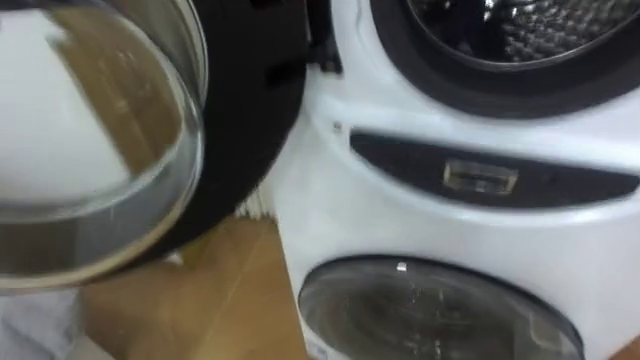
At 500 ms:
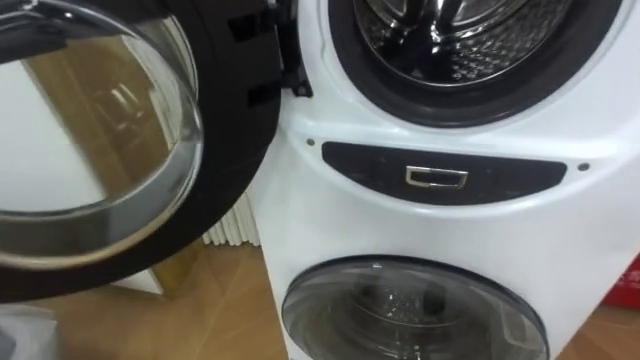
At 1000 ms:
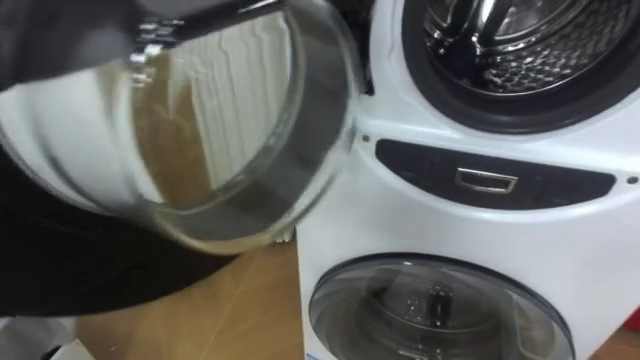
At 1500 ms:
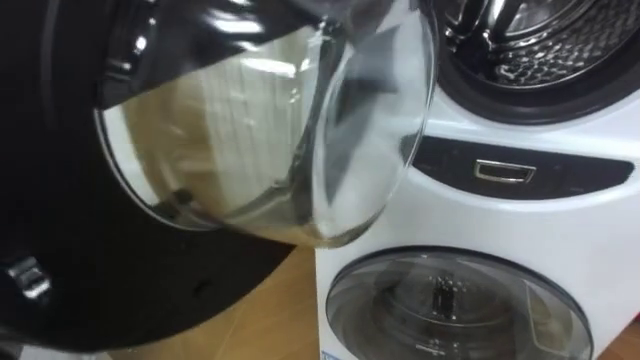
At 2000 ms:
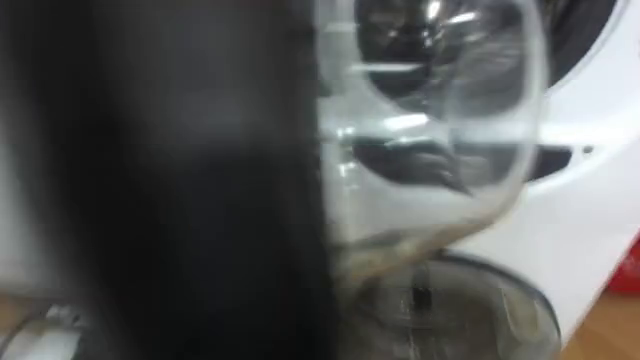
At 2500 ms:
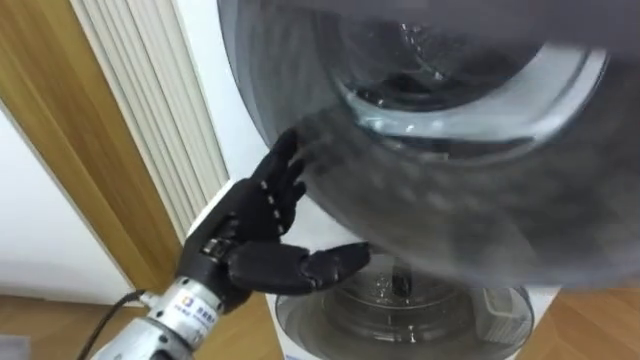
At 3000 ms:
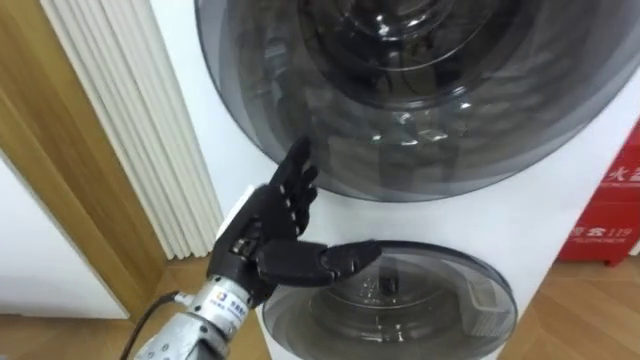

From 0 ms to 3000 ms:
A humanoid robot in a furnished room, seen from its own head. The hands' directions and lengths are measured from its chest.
Task of the whole recording: Open the washing machine door, take out the yellow clothes, place them in the box on the right, and close the washing machine door.
From 1500 ms to 3000 ms: The left hand moves to the right, roughly 20 cm.

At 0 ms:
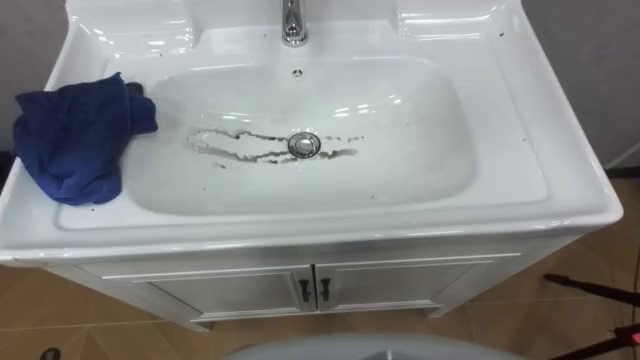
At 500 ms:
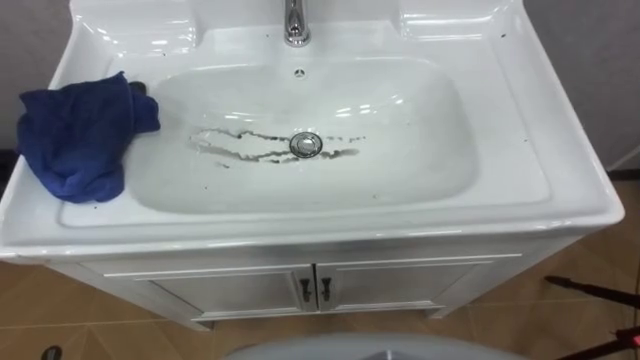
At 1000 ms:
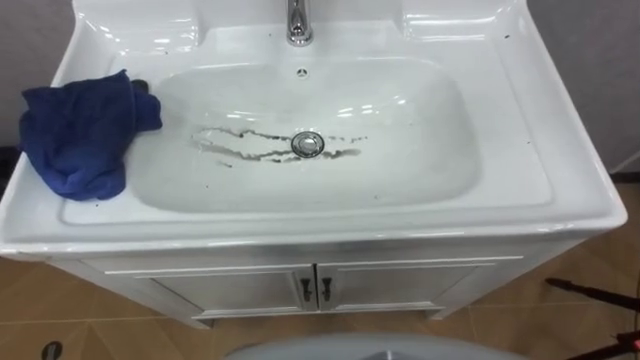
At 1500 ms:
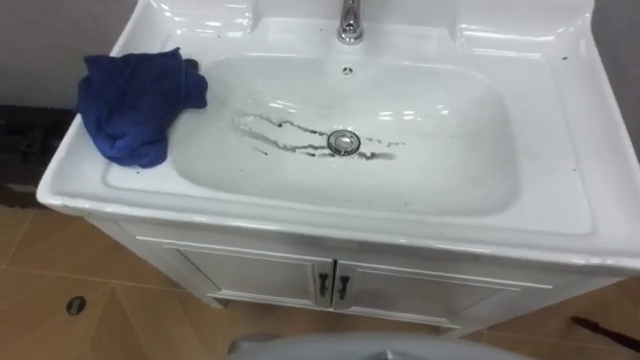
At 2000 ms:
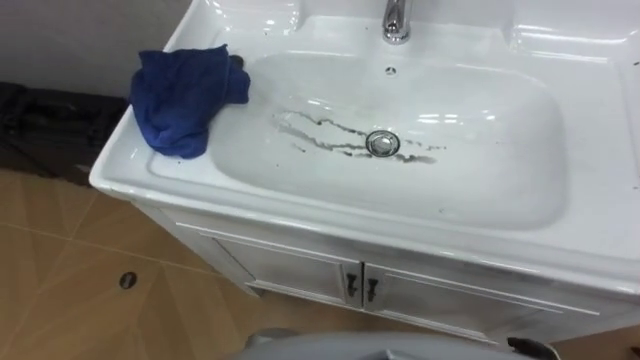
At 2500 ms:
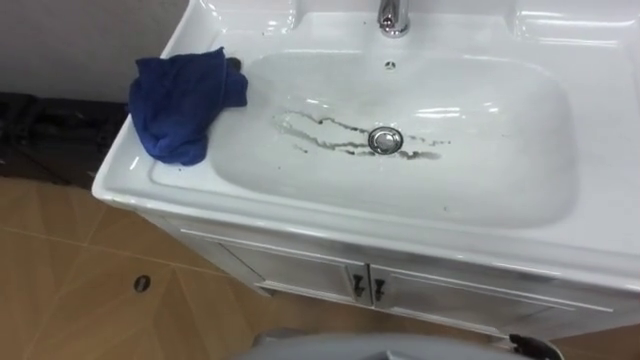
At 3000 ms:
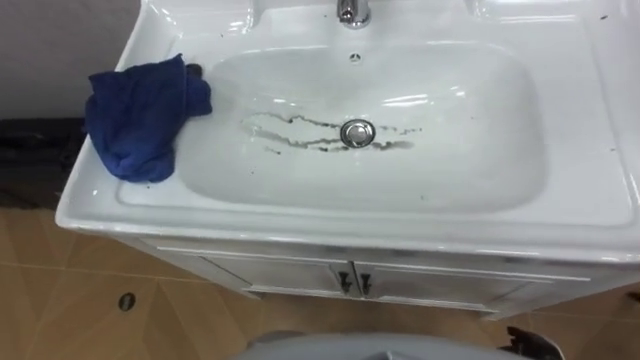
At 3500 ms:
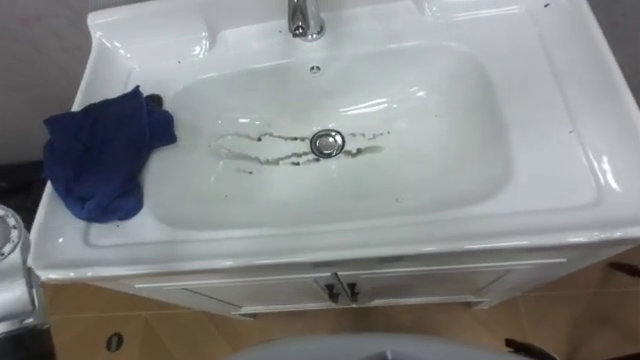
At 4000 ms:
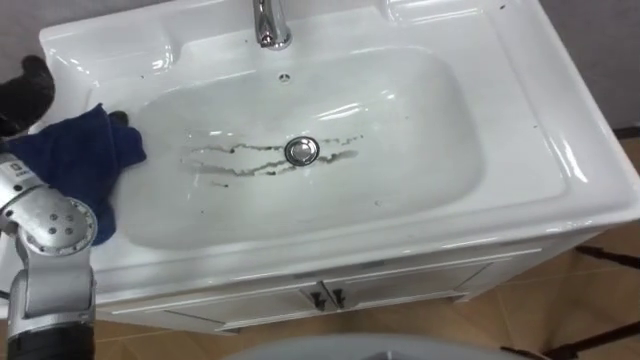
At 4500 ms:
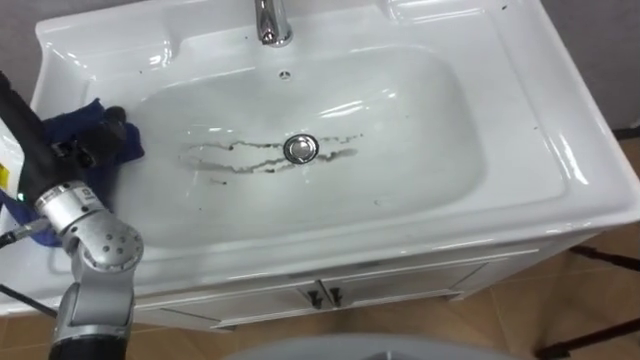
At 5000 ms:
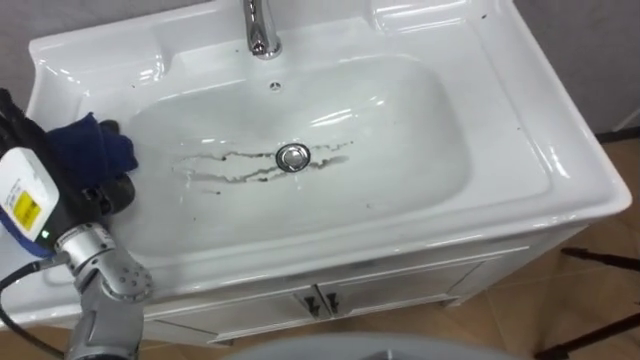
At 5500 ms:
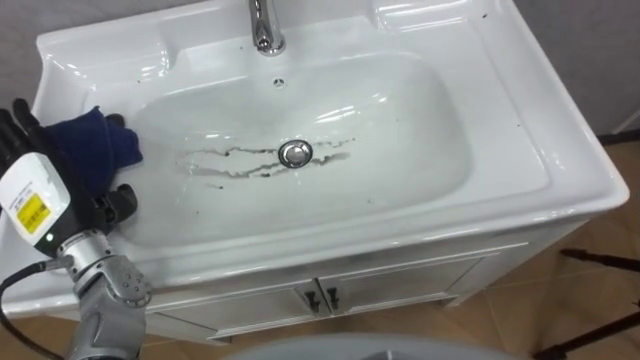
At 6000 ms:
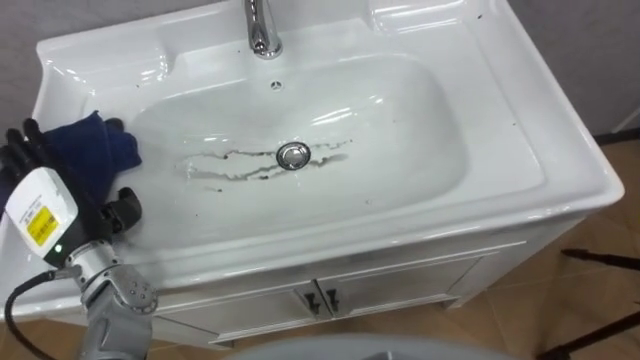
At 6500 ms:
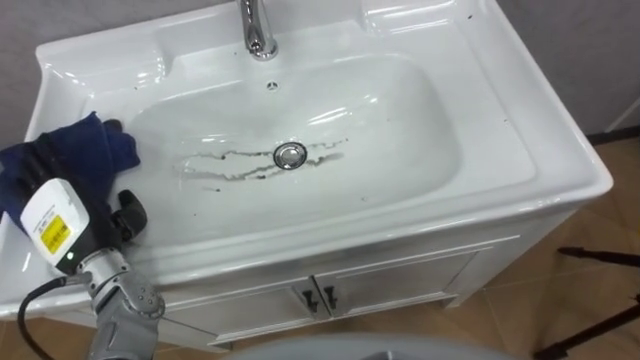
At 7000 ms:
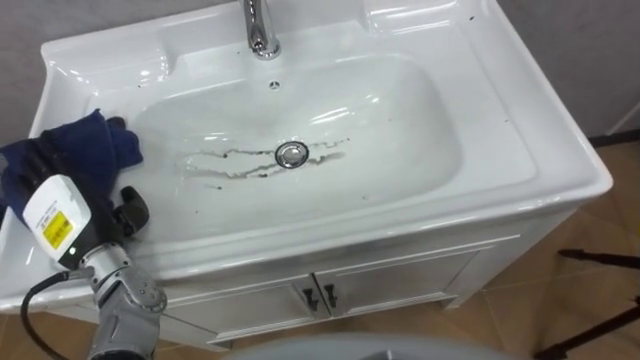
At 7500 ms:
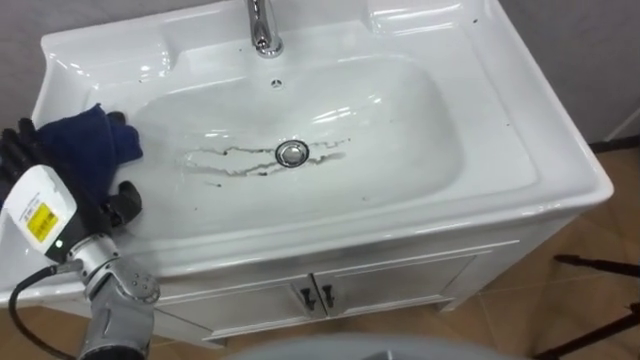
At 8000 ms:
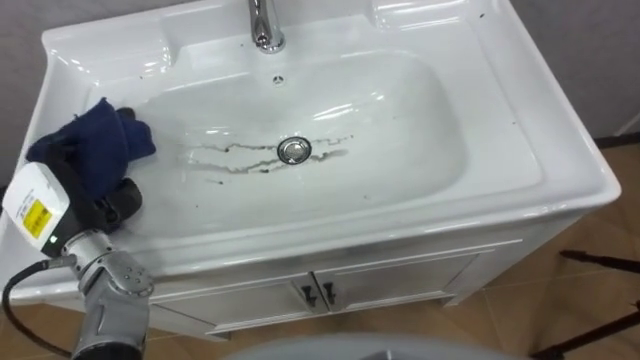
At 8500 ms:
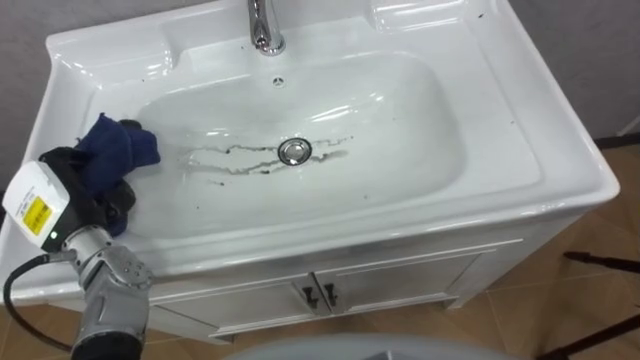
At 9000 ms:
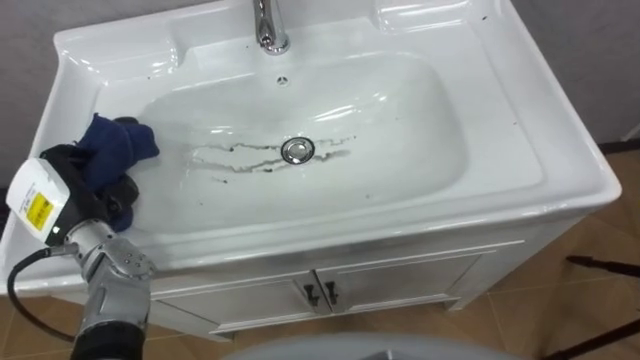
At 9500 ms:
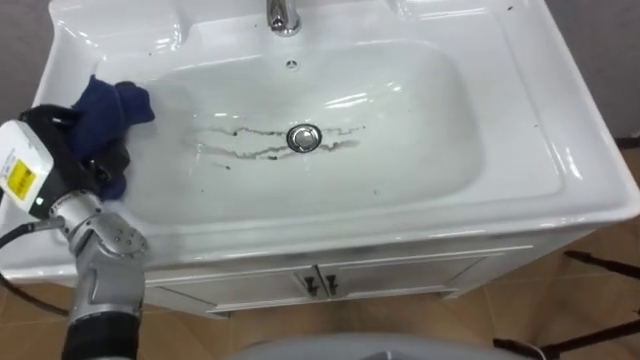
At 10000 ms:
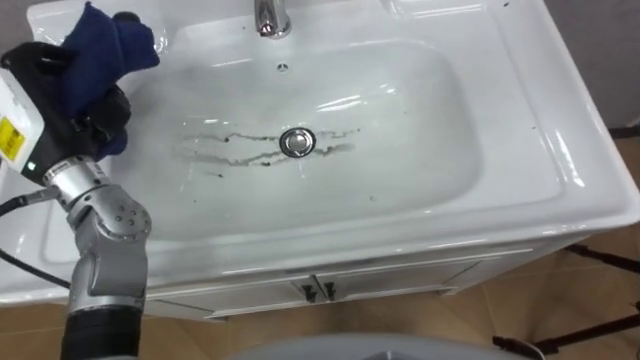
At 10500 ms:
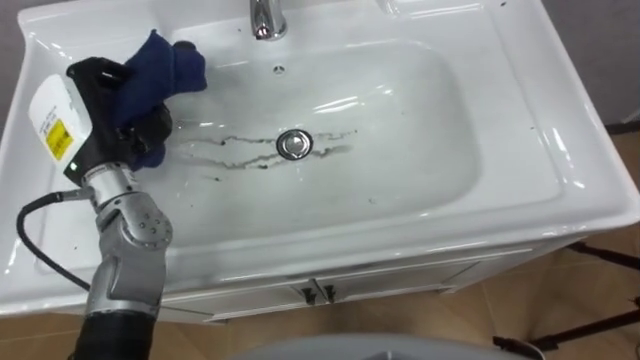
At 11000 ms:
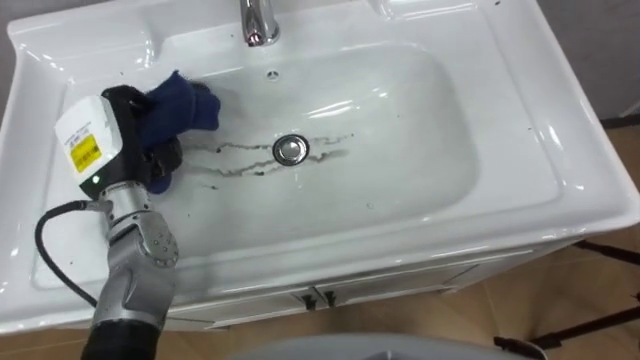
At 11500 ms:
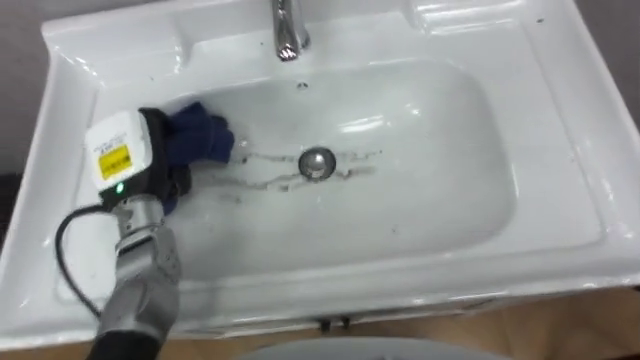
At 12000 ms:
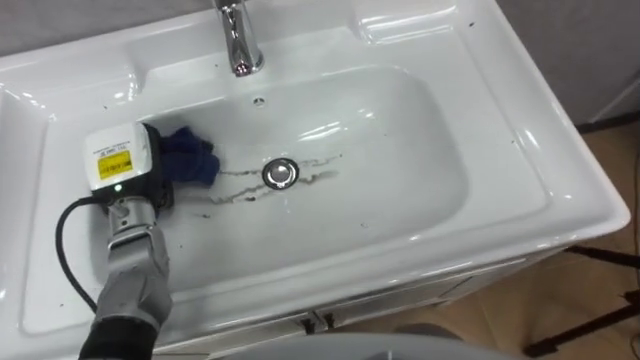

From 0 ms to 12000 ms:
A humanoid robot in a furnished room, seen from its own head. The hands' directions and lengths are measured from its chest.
Task of the whole recording: Use the cloth on the right to wipe away the black stain in the sink.
From 6000 ms to 8000 ms: The left hand closes its fingers.
From 8000 ms to 10000 ms: The left hand travels upward and forward by roughly 10 cm, and closes its fingers.
From 10000 ms to 12000 ms: The left hand goes roughly 10 cm downward.

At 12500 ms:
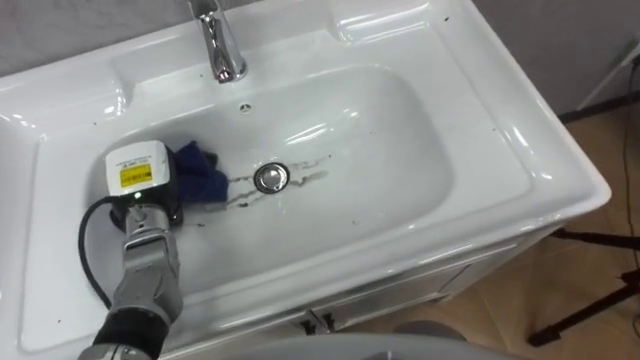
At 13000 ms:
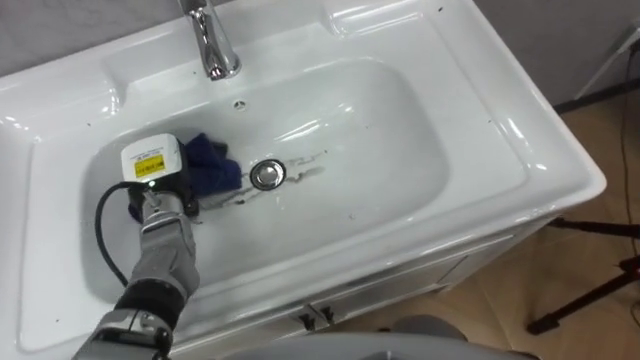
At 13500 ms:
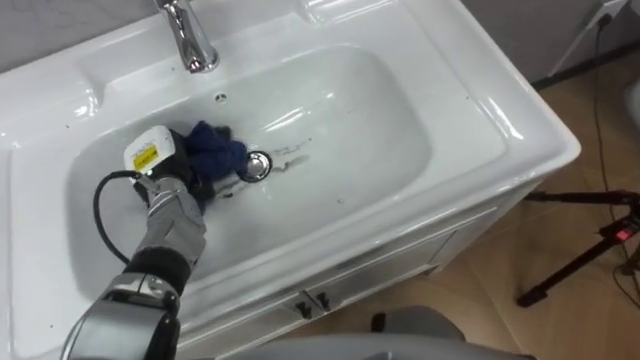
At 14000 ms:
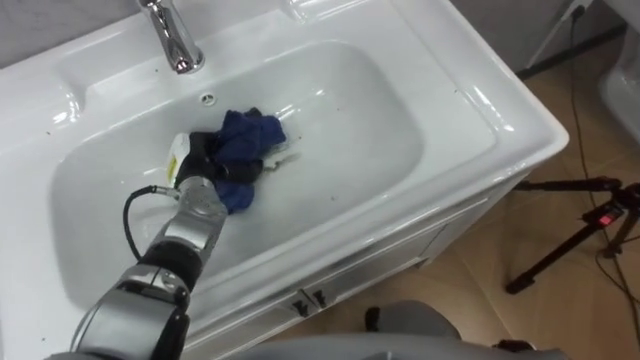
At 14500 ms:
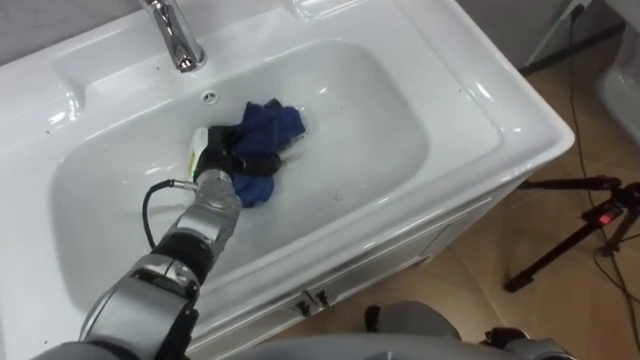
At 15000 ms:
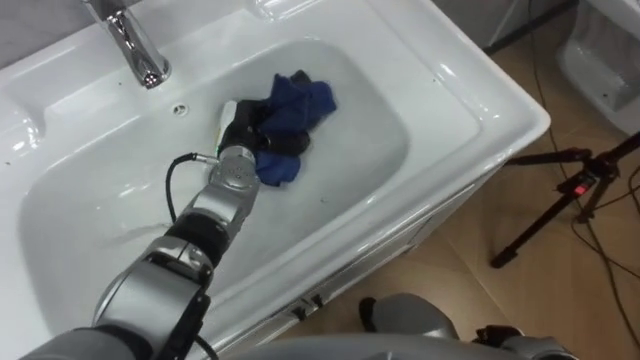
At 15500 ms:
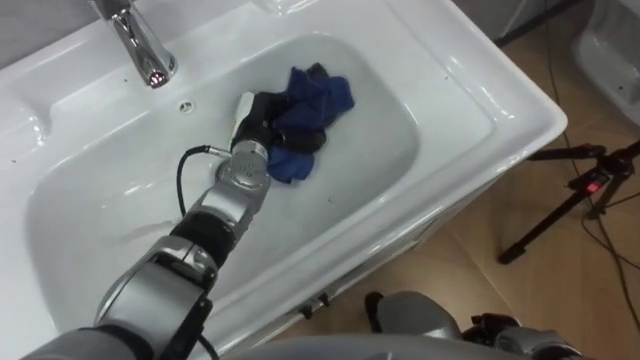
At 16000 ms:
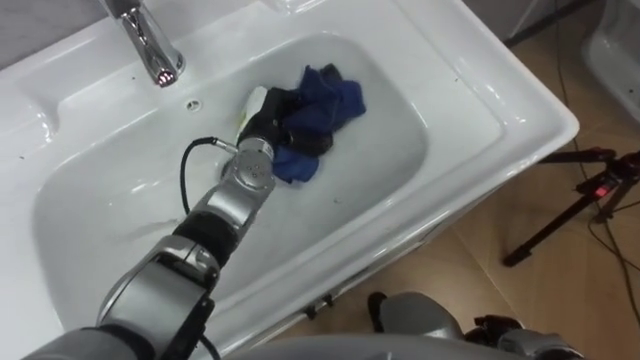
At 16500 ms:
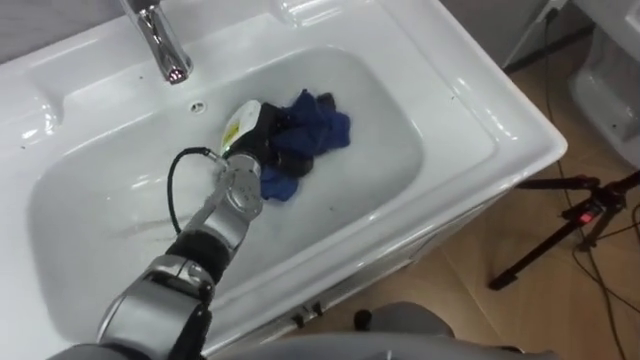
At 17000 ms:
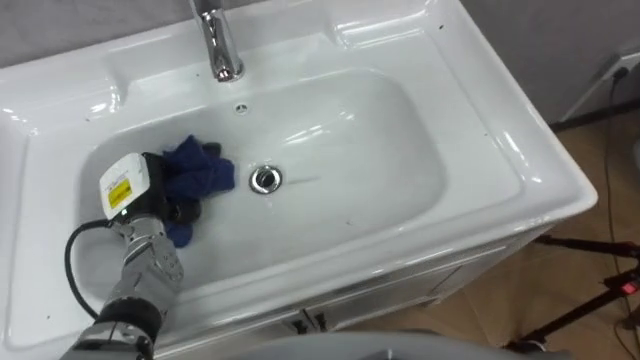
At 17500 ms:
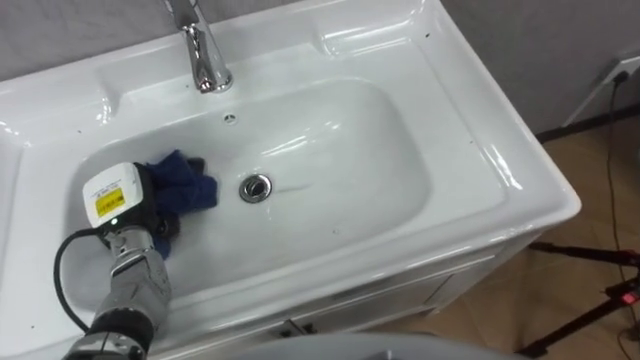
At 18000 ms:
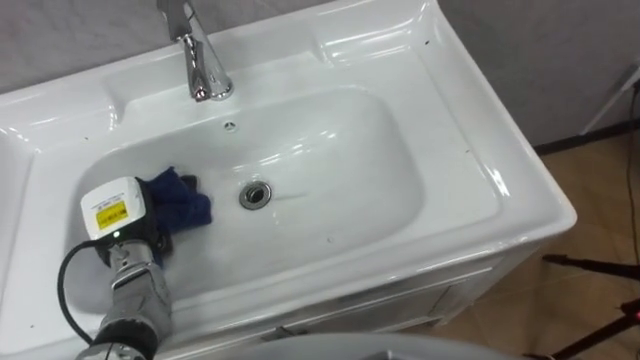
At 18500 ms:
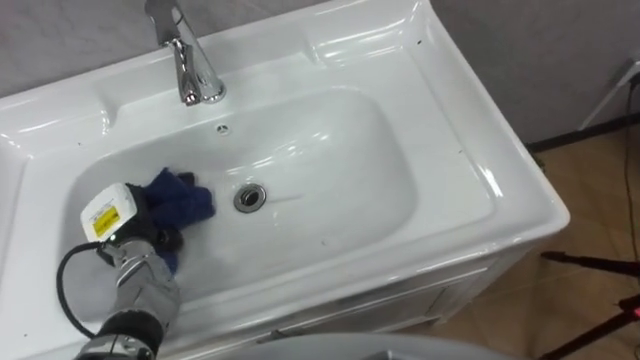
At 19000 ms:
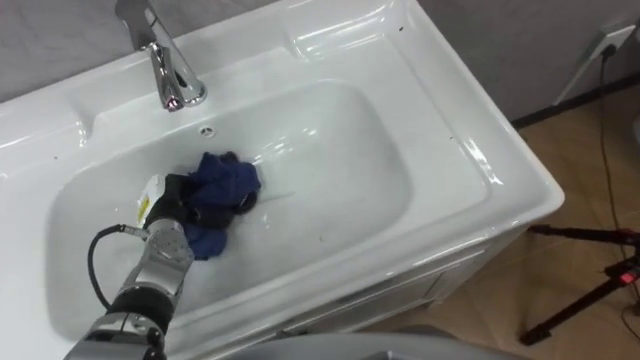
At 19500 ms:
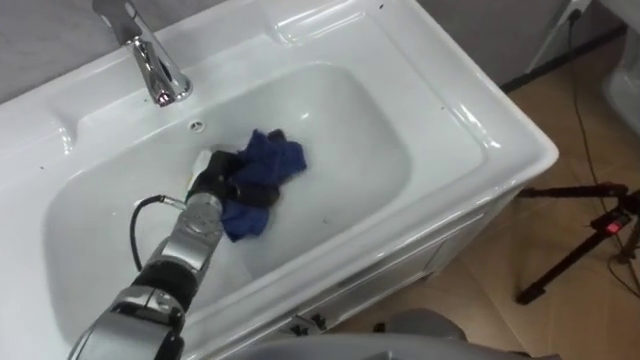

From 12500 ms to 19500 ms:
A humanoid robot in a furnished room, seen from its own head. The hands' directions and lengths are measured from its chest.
Task of the whole recording: Use the cloth on the right to wipe away the black stain in the sink.
From 12500 ms to 14500 ms: The left hand shifts roughly 10 cm to the right.
From 14500 ms to 16000 ms: The left hand shifts roughly 10 cm to the right.
From 16000 ms to 17500 ms: The left hand heads to the left and backward, covering about 25 cm.
From 17500 ms to 19500 ms: The left hand travels to the right by some 10 cm.
